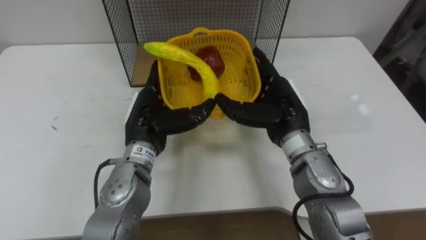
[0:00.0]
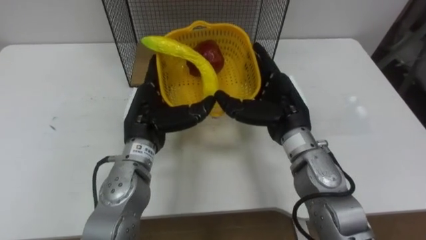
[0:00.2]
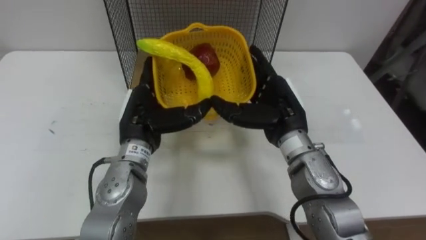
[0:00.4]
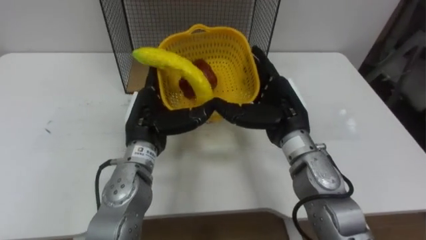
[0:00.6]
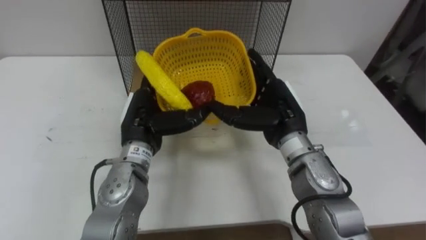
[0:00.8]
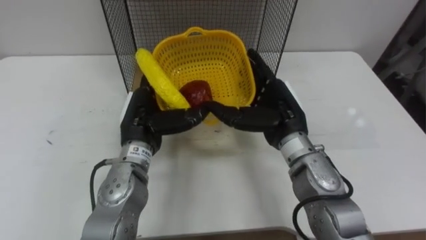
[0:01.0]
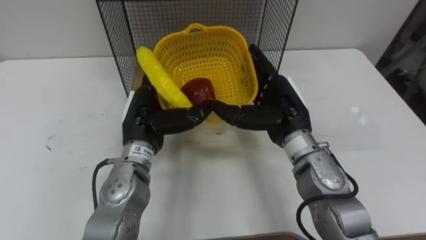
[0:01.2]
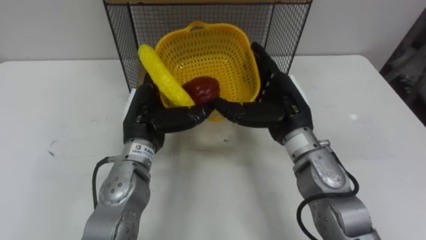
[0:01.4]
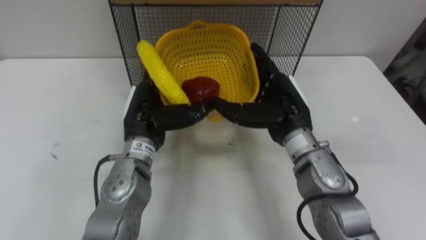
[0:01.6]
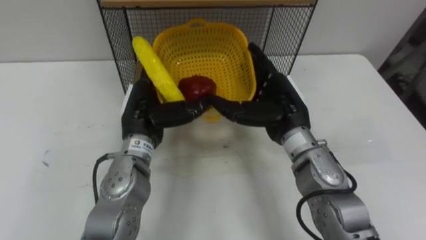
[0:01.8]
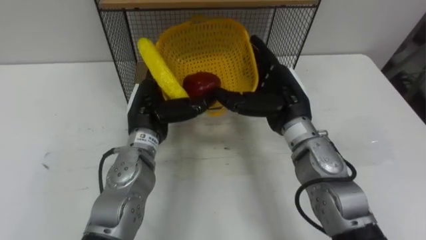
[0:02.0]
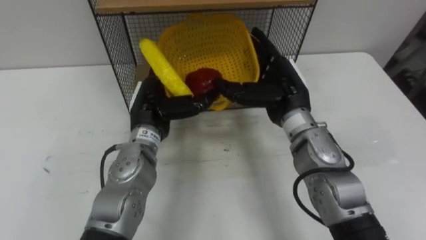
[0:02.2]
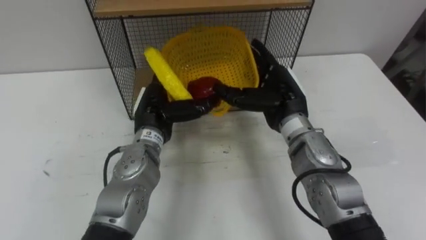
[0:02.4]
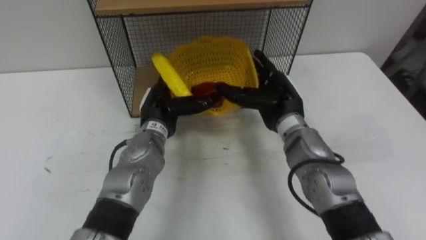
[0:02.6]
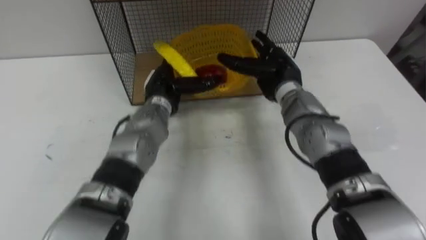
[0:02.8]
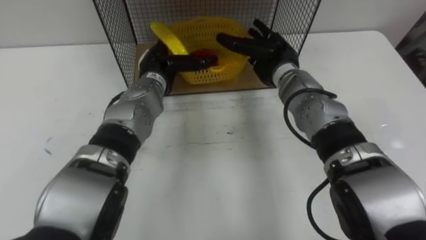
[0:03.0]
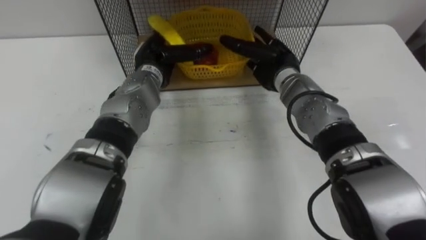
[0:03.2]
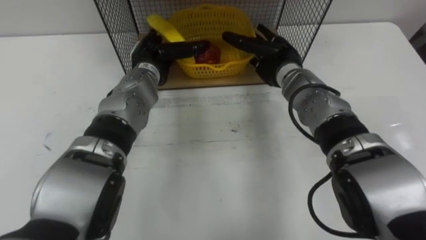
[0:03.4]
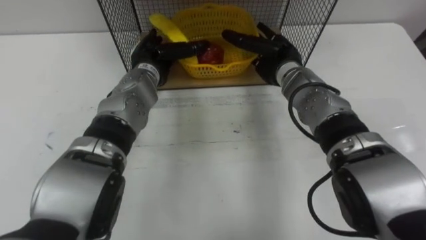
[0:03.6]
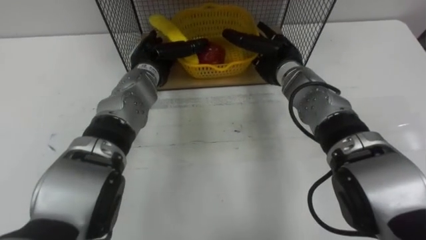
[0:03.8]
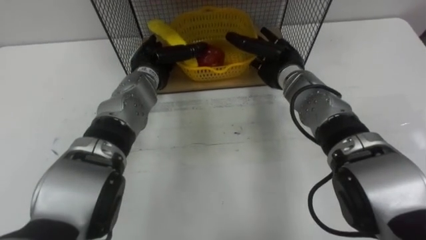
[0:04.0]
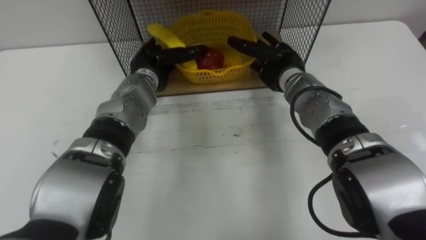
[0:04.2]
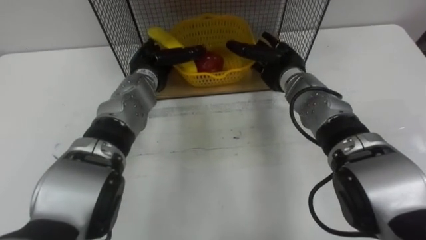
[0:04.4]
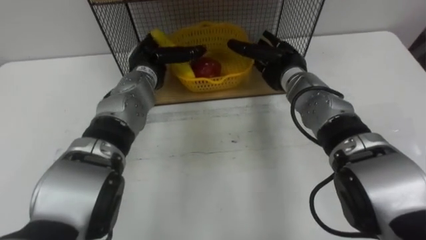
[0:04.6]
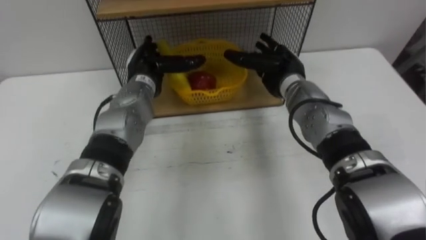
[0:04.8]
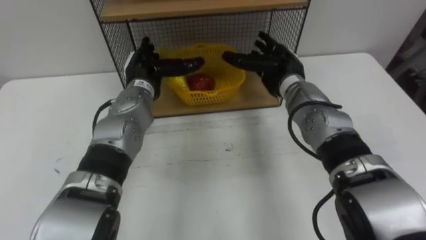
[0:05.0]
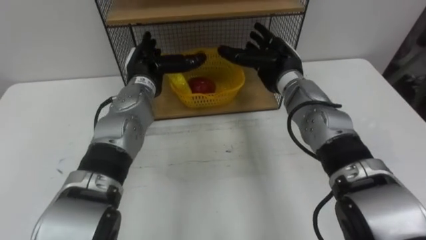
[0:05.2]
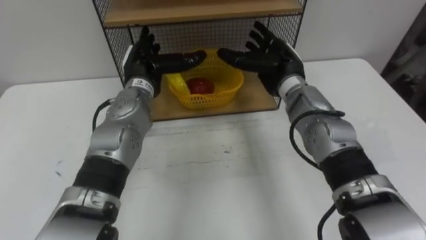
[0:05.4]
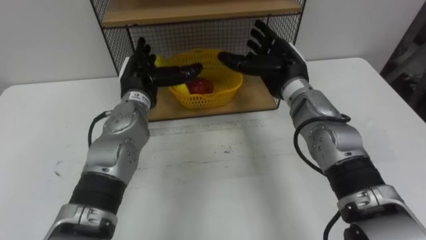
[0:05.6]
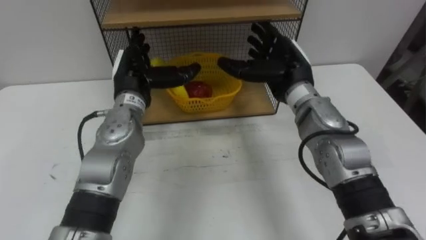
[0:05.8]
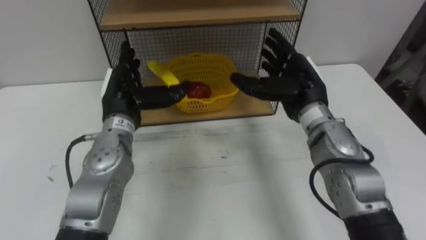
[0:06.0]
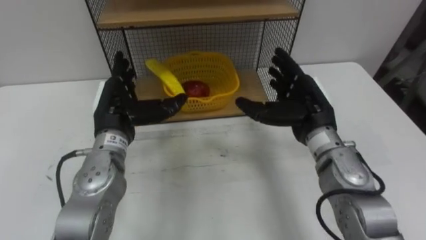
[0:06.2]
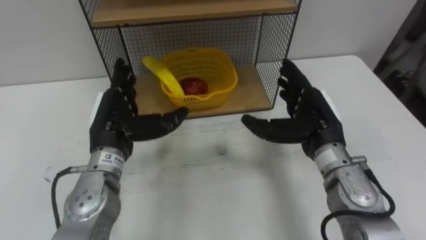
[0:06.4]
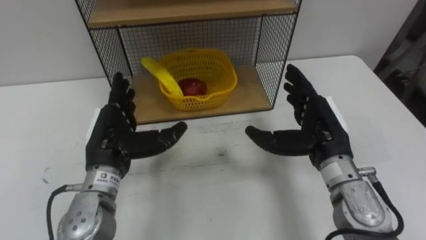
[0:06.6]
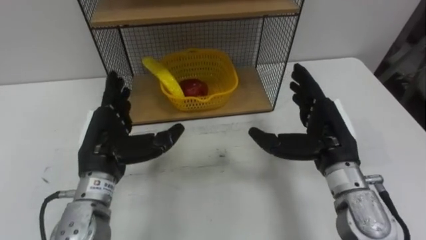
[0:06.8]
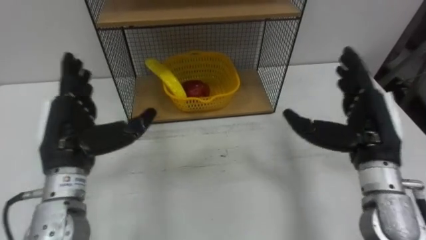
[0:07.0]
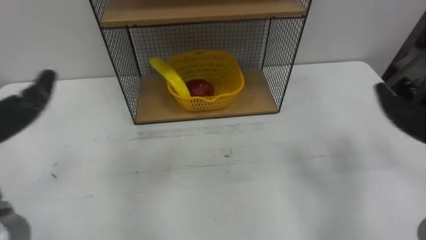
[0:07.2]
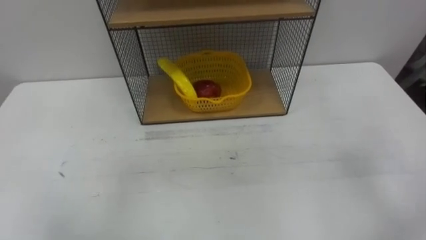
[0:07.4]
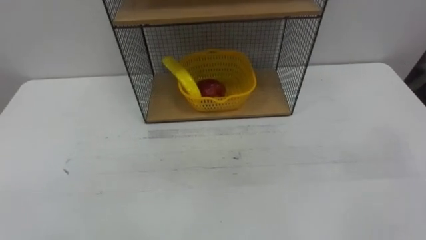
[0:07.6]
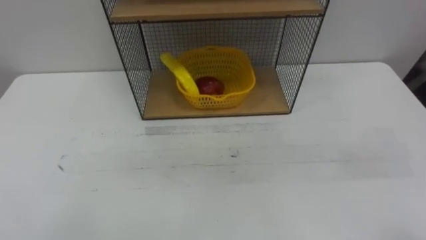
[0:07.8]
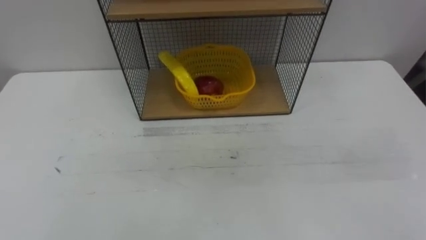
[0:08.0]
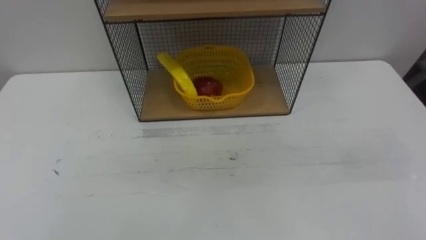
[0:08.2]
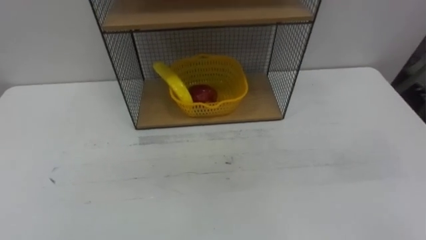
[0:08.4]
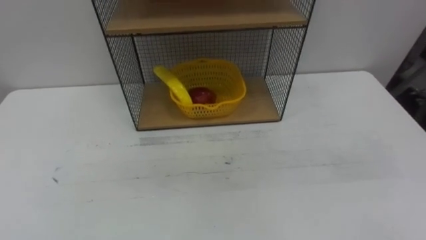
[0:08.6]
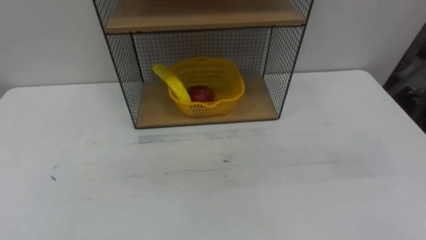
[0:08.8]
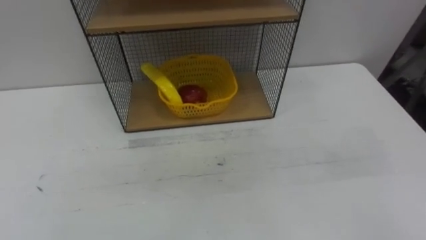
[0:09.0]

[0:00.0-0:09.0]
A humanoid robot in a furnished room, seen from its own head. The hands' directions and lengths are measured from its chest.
Task of the whole recording: Put the fruit on the table into the basket, then place the basket on the shelf.
0:01.6 to 0:03.0: Both hands move forward, some 10 cm.
0:04.4 to 0:06.0: Both hands travel together backward, about 10 cm.

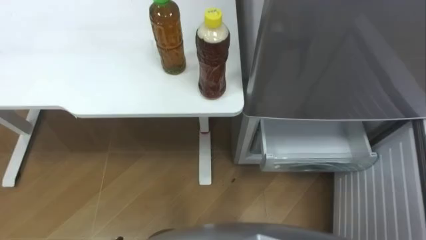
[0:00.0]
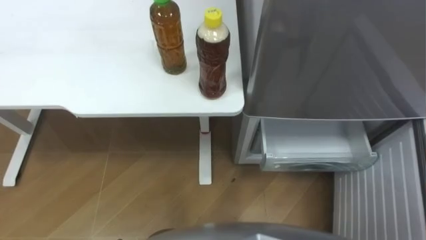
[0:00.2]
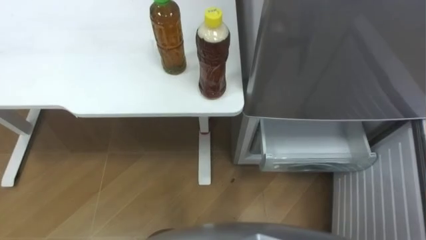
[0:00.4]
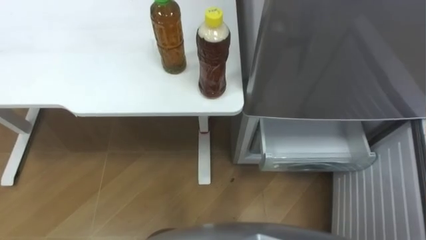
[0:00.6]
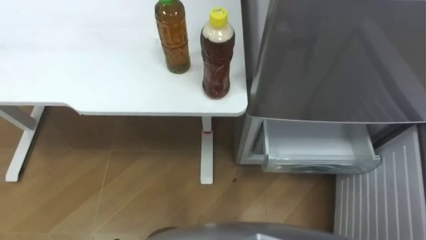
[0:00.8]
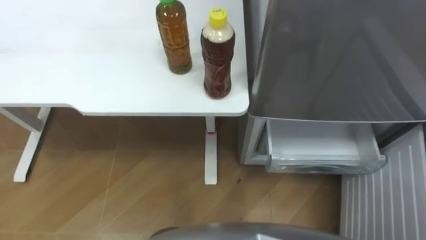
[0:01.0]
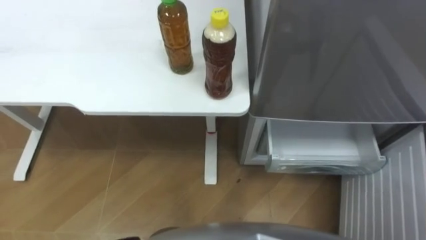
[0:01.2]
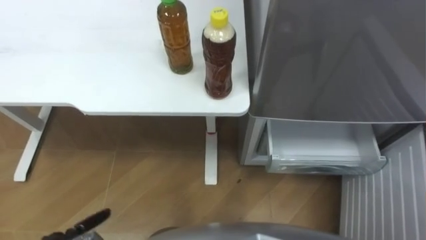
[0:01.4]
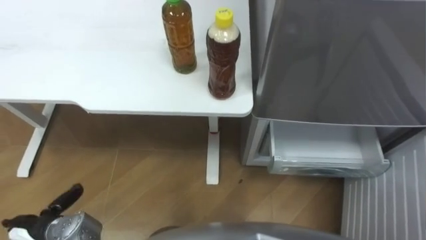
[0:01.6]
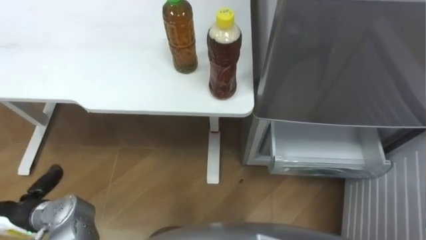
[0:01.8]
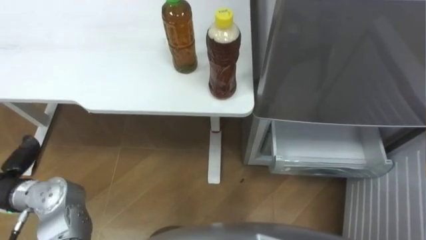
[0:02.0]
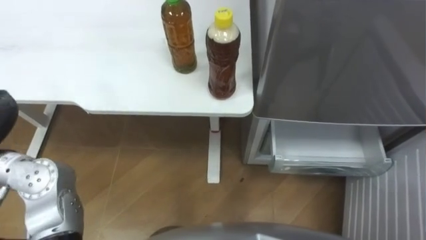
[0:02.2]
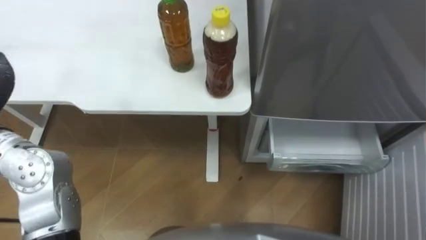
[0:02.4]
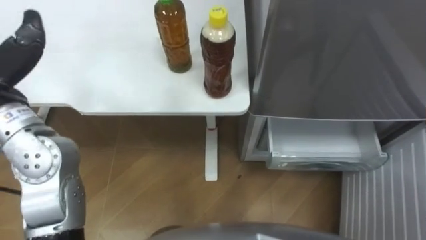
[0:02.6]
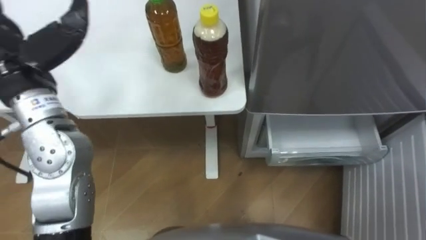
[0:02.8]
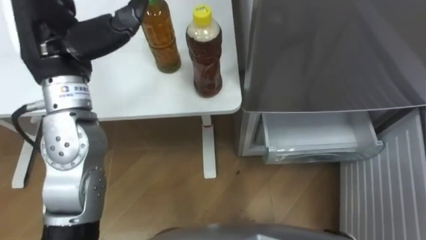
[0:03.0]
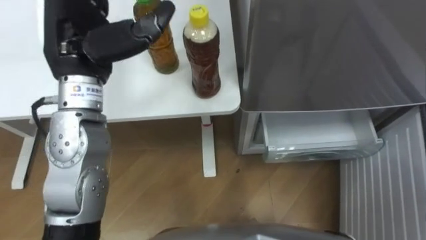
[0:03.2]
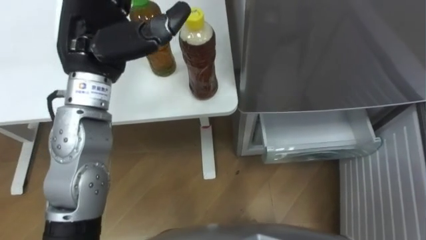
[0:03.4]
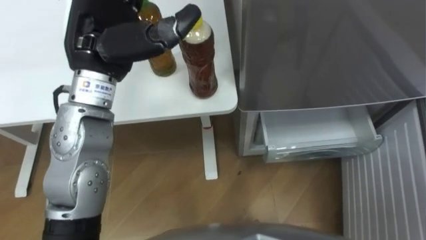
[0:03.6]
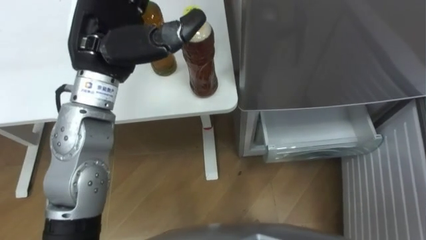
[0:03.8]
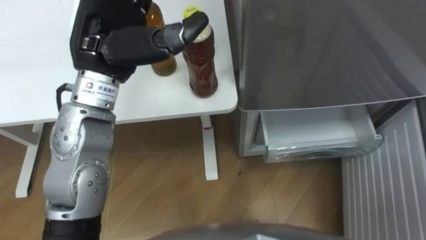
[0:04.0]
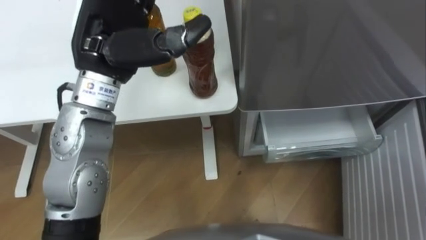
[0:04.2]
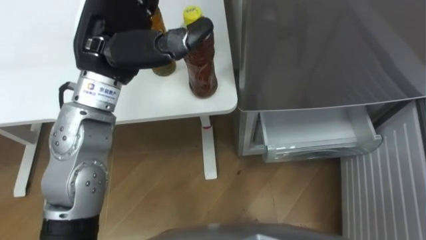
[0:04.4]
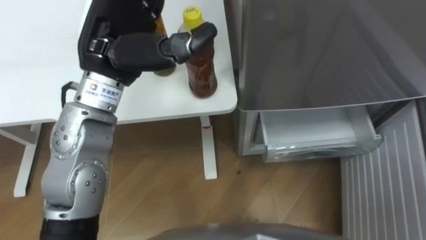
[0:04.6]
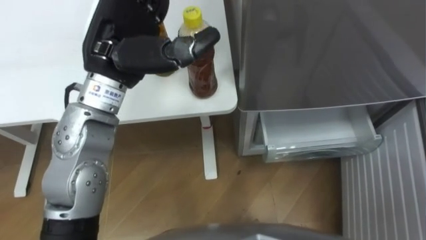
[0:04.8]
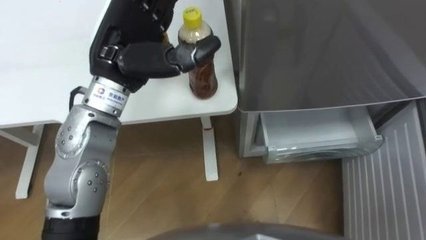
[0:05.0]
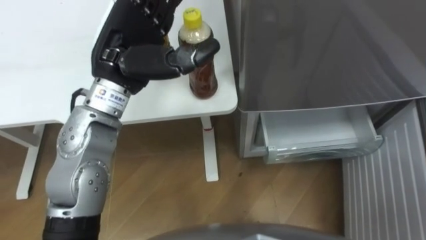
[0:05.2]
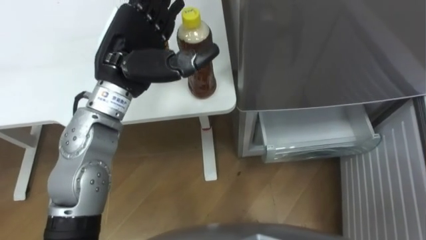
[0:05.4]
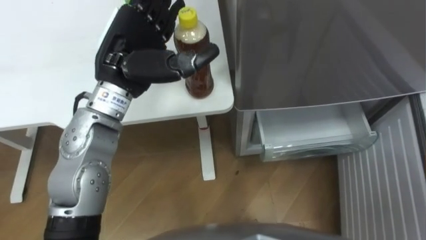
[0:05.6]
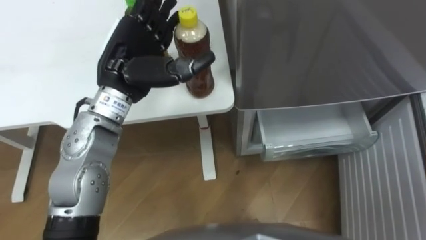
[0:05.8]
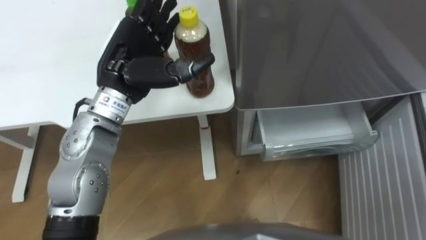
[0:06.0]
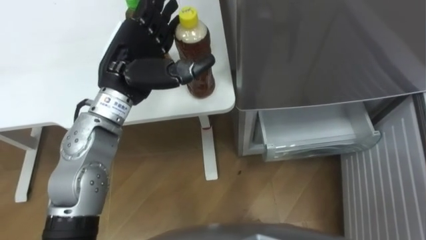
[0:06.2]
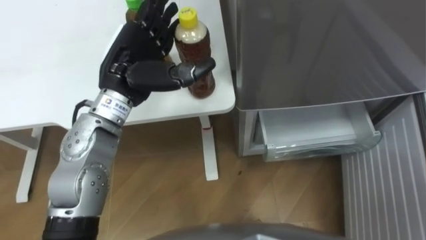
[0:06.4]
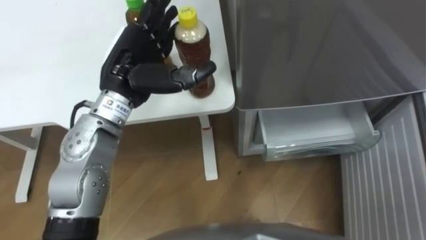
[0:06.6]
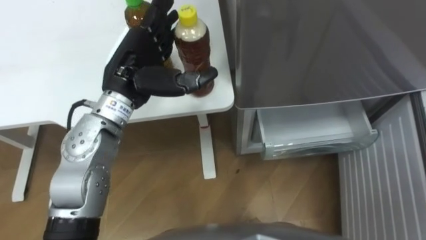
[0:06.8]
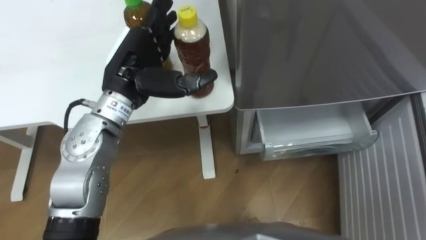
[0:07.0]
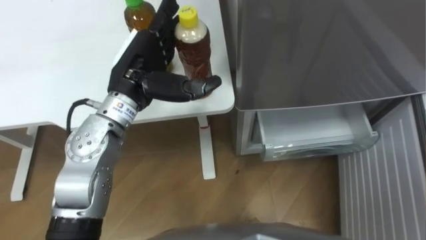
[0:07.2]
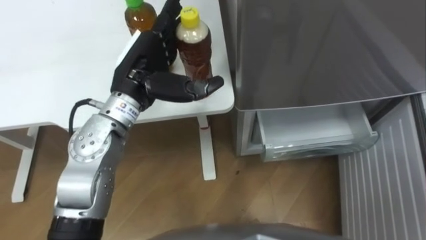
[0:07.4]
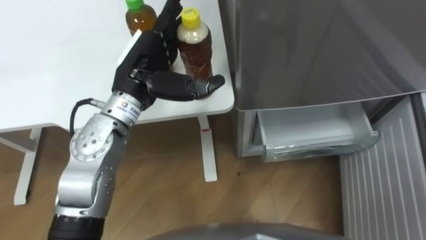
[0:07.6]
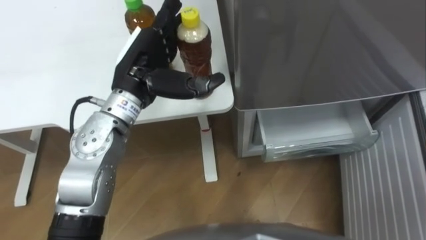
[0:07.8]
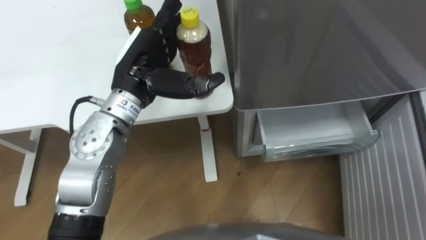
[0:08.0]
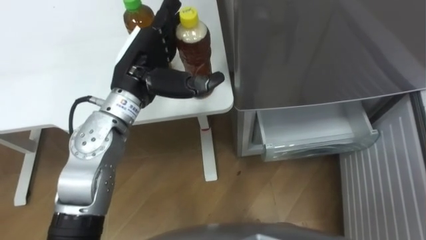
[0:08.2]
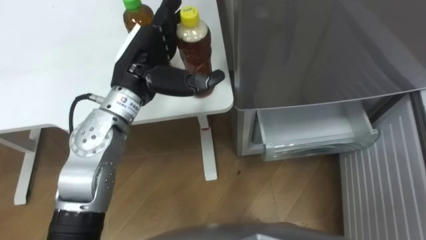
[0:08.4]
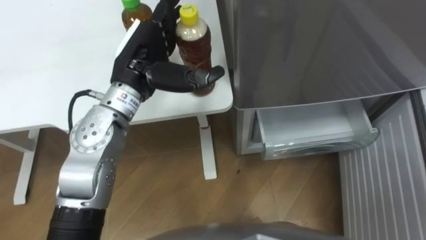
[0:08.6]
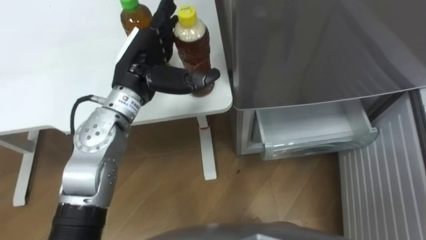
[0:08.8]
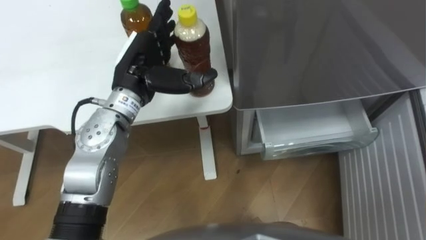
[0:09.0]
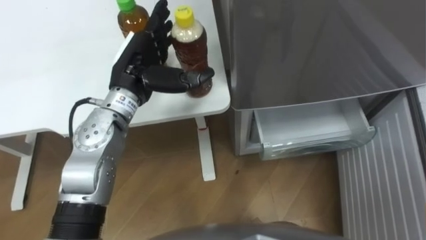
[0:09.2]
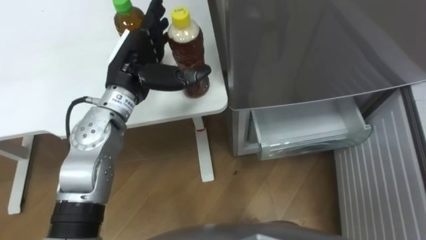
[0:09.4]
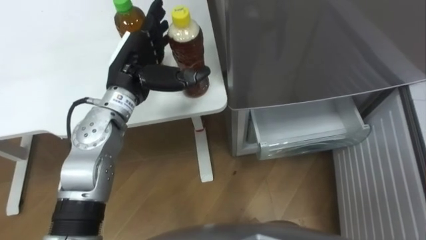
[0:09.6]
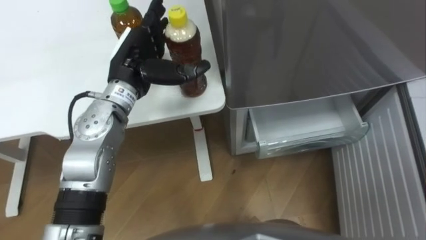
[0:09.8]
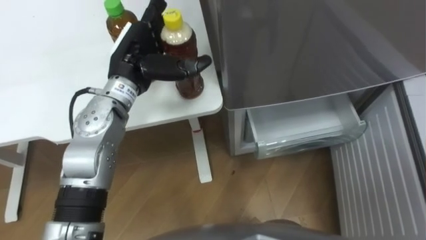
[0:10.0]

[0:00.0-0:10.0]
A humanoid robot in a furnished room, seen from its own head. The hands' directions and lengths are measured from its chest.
Task of the whole recording: Place the drink on the table on the bottom shelf of the refrigerator, then close the drawer and the refrigerator door.
0:02.8 to 0:04.2: The left hand moves to the right, about 15 cm.
0:04.2 to 0:05.8: The left hand goes about 5 cm downward.
